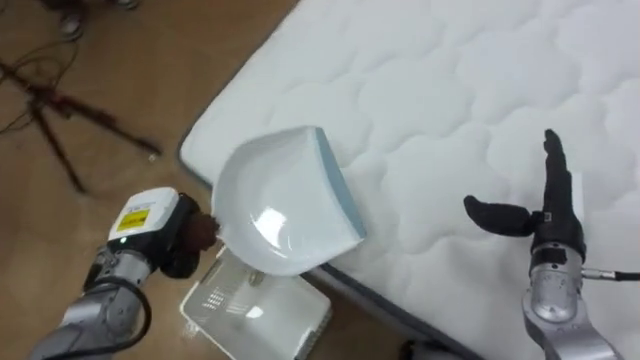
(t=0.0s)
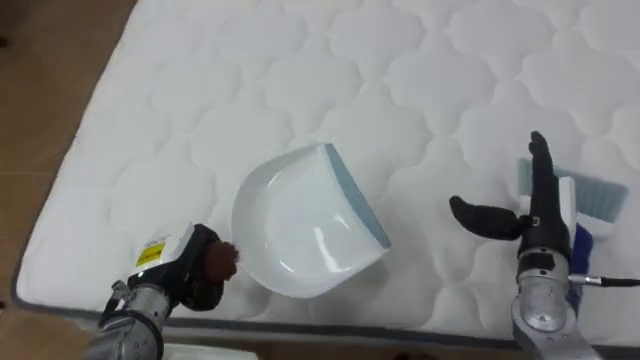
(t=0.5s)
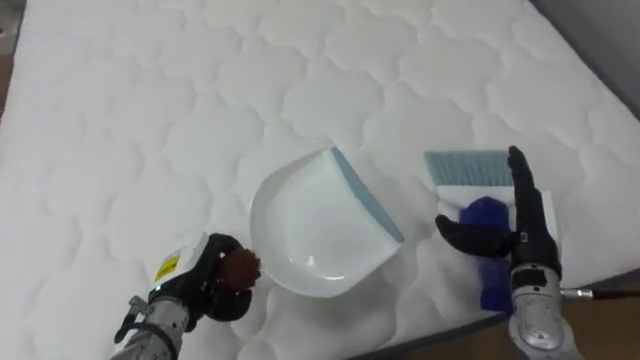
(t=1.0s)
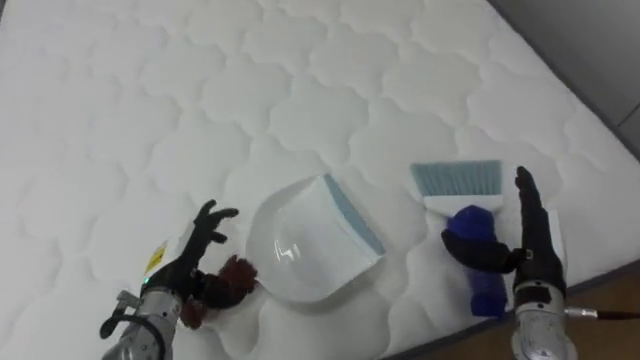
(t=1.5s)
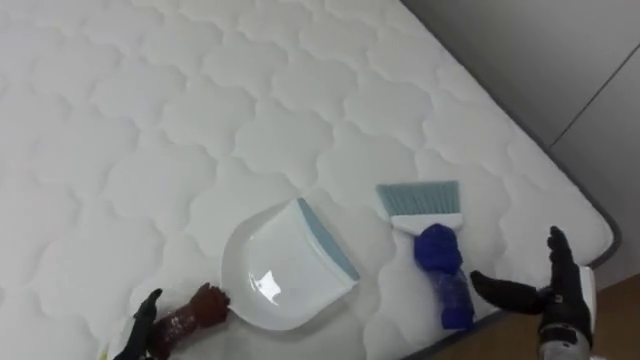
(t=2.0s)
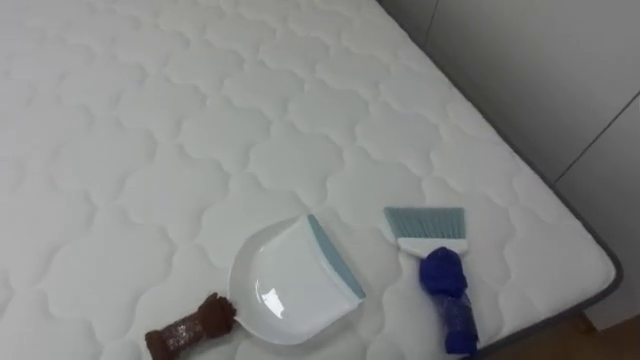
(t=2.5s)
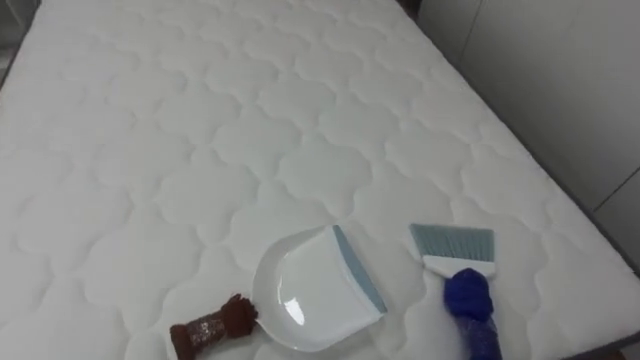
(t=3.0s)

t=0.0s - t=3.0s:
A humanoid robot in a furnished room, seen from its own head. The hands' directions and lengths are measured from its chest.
Task of the whole recording: Pick up the brush on your right and the dustpan on your left. Use the brush to sweep the crumpled paper on the bed into the dustpan, then turn left and empty it into the basket.
t=0.0s - t=1.5s: The robot turns to its right by some 60 degrees. The left hand changes place by about 5 cm, and opens up. The right hand ends up some 5 cm from where it was.

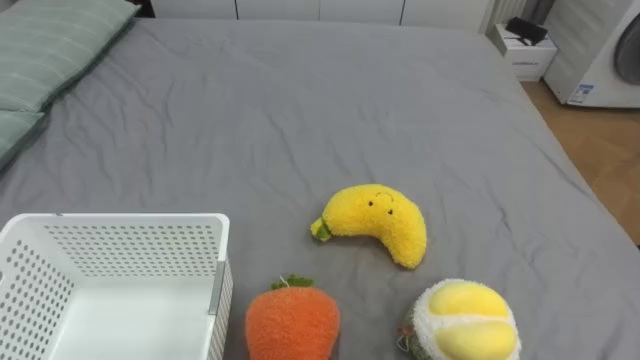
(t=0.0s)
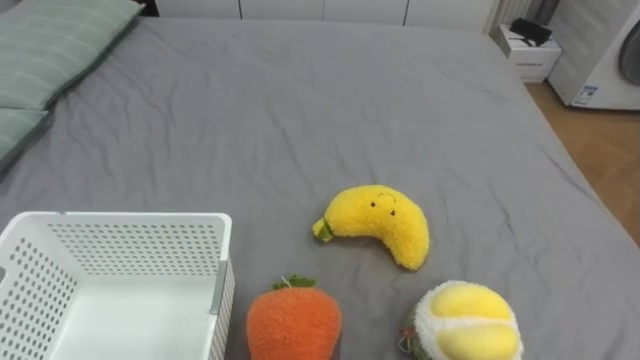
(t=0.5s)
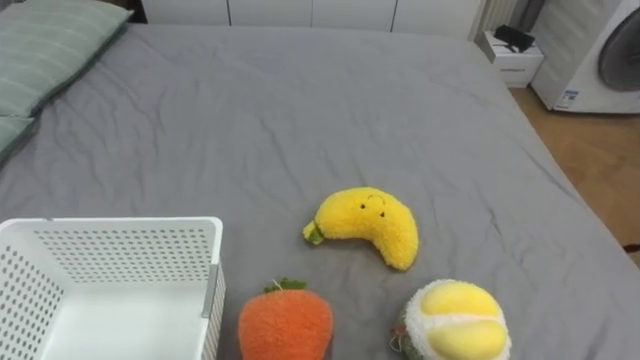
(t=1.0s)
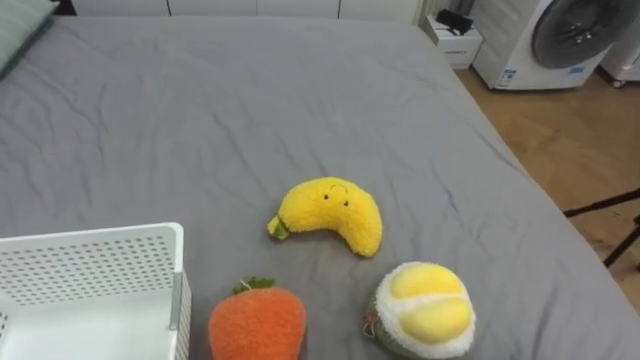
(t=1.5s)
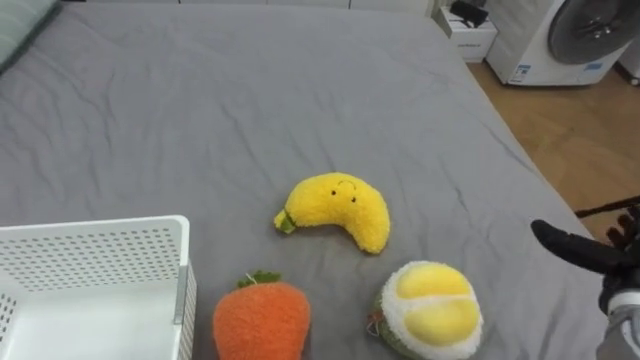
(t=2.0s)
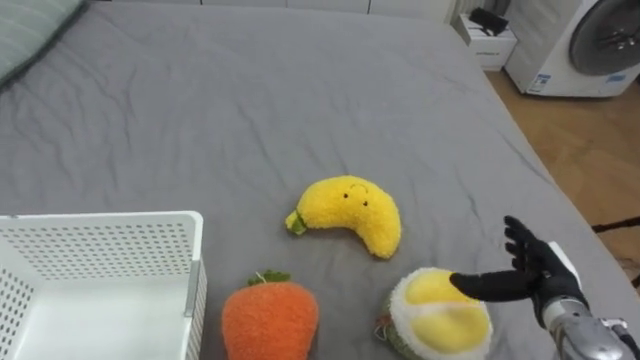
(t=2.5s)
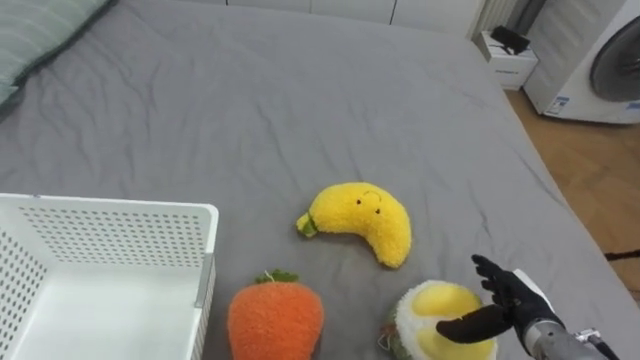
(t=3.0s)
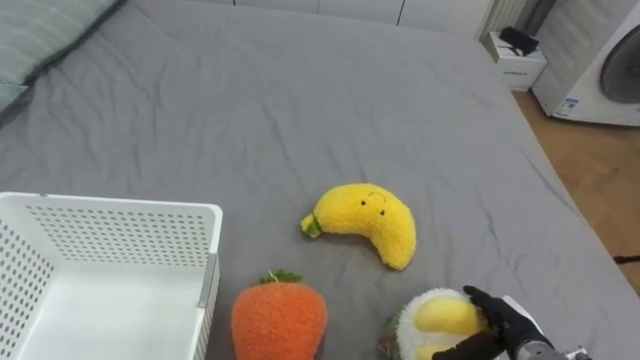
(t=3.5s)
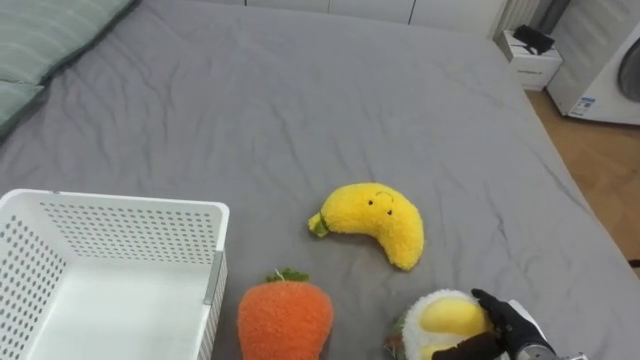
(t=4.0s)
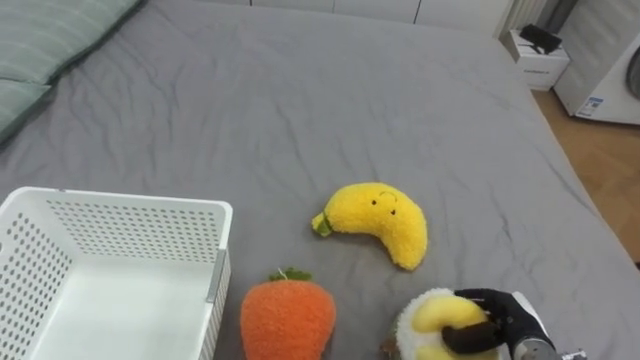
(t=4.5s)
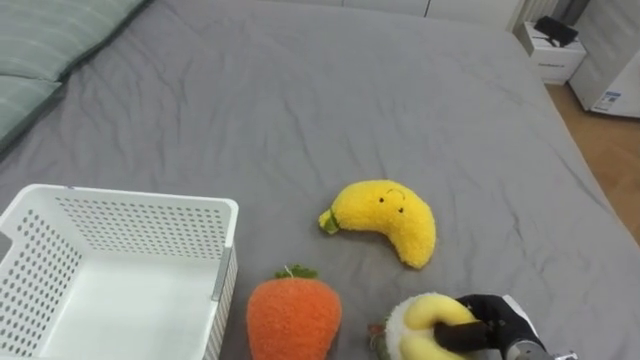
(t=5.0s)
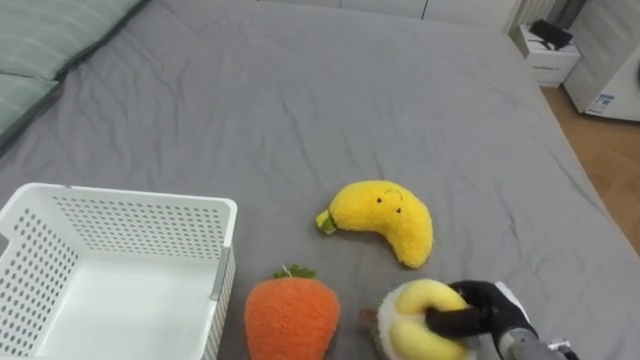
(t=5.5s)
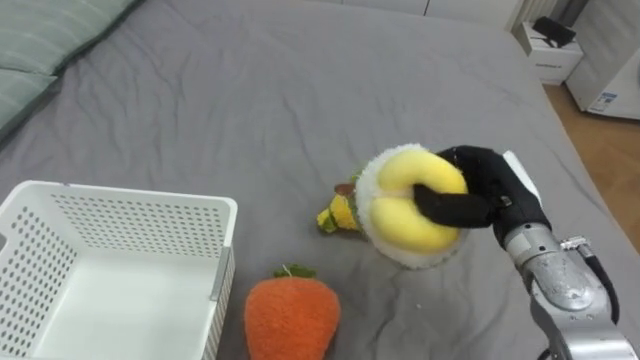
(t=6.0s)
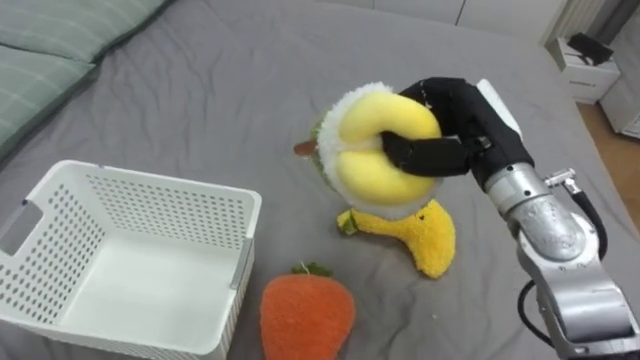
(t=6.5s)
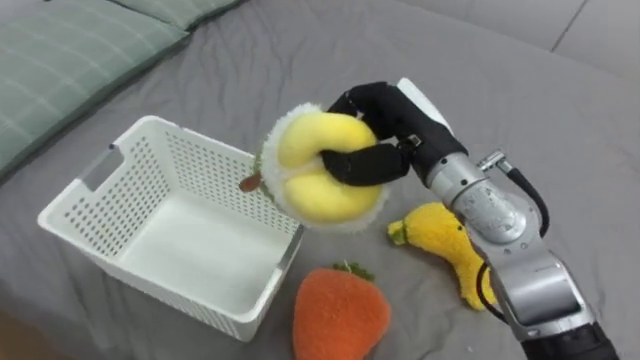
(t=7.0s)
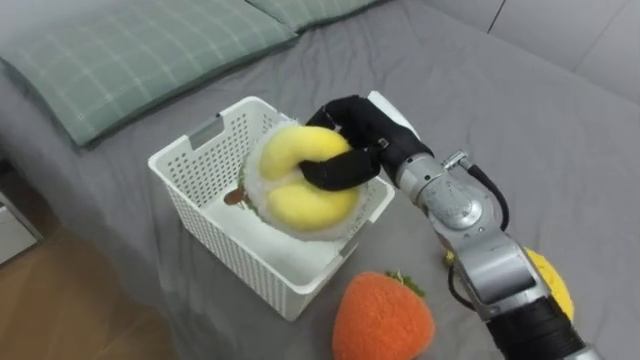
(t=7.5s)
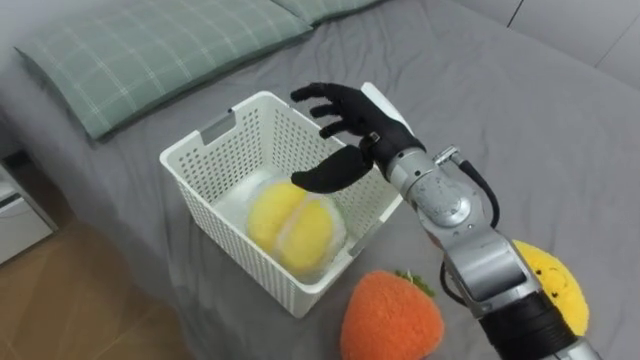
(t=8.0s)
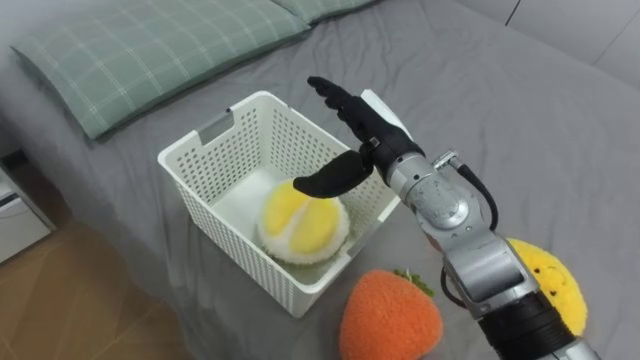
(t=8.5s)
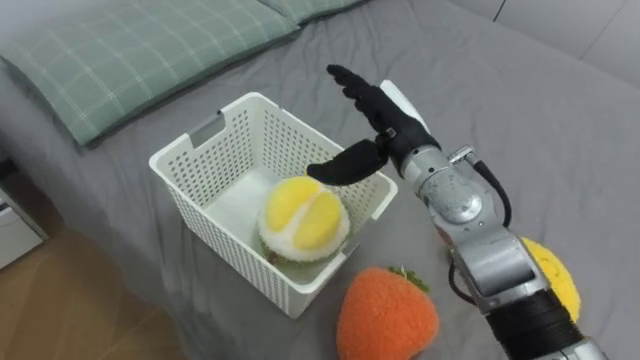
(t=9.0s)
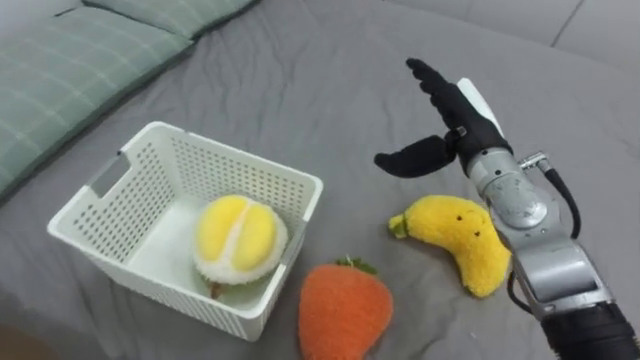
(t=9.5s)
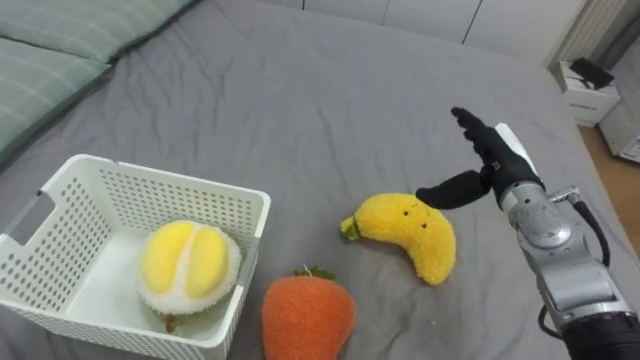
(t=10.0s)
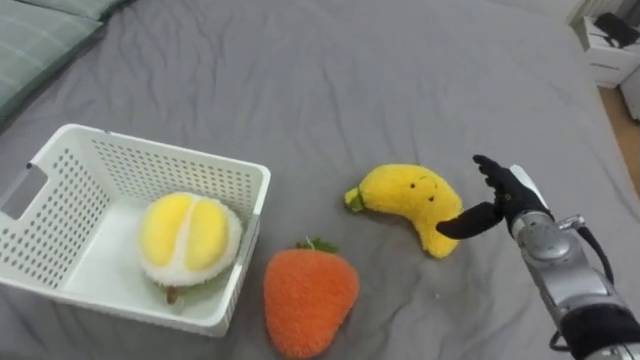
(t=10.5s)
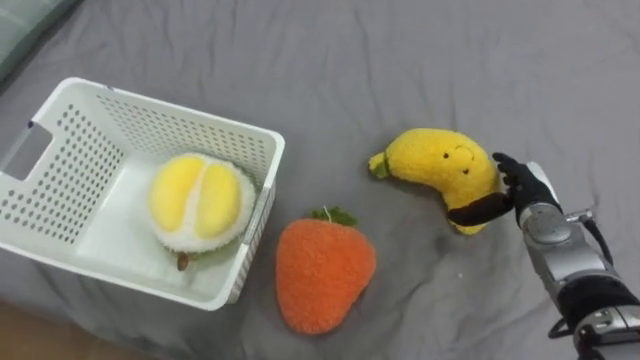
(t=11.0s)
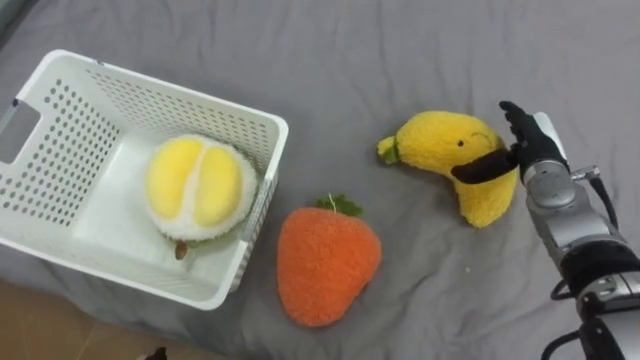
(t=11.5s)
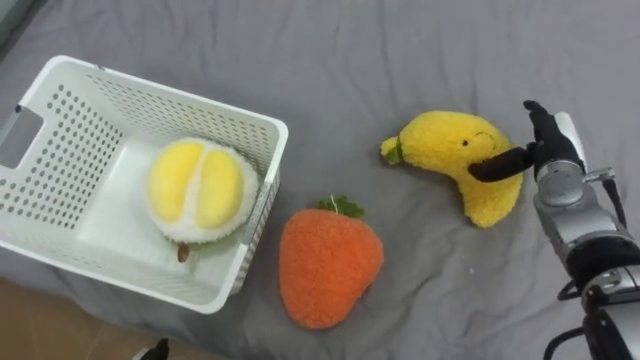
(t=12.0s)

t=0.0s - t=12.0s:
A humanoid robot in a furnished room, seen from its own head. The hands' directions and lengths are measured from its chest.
Task of the whole recording: Put the toys on the bed into the basket on the left.
t=2.0s - t=4.0s: The right hand moves downward and to the left, roughly 15 cm.
t=4.0s - t=6.0s: The right hand heads upward and forward, covering about 20 cm, and closes up.
t=6.0s - t=8.0s: The right hand goes approximately 20 cm to the left and upward, and opens.
t=8.0s - t=10.0s: The right hand shifts approximately 15 cm to the right.
t=10.0s - t=12.0s: The right hand moves to the right, about 5 cm.

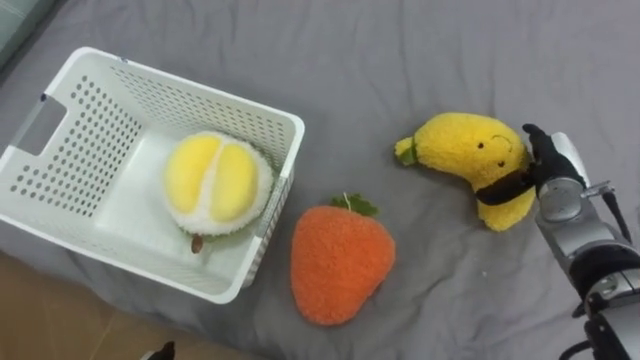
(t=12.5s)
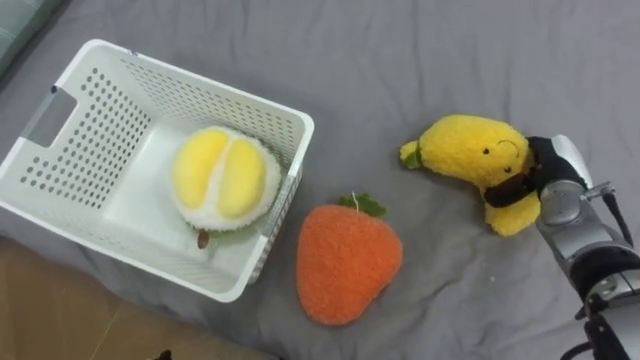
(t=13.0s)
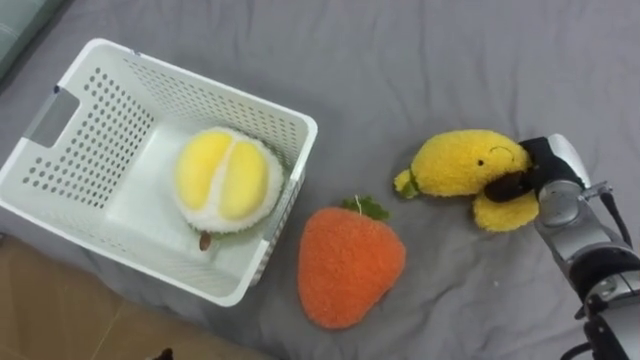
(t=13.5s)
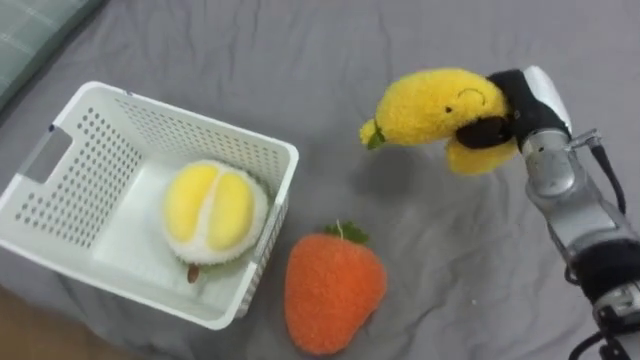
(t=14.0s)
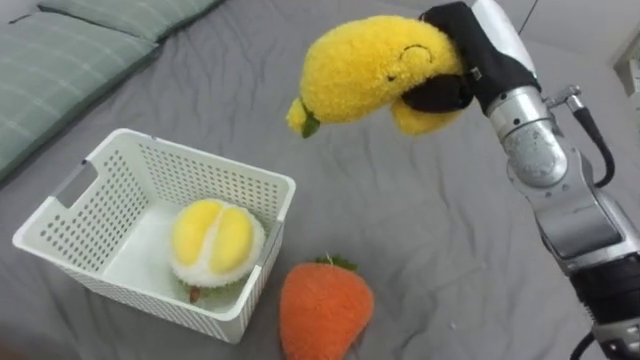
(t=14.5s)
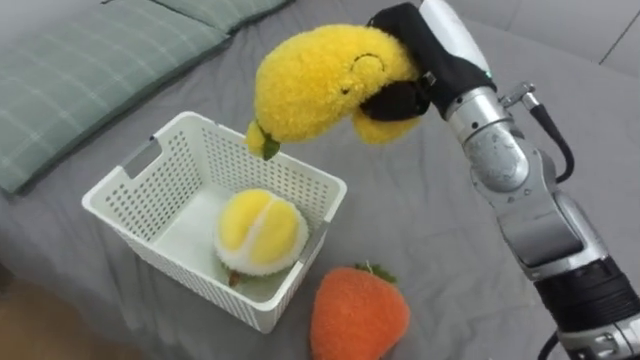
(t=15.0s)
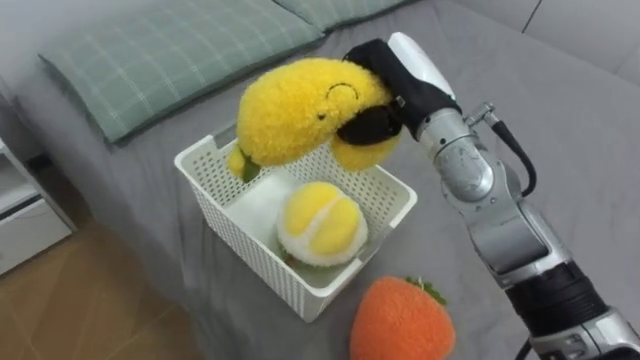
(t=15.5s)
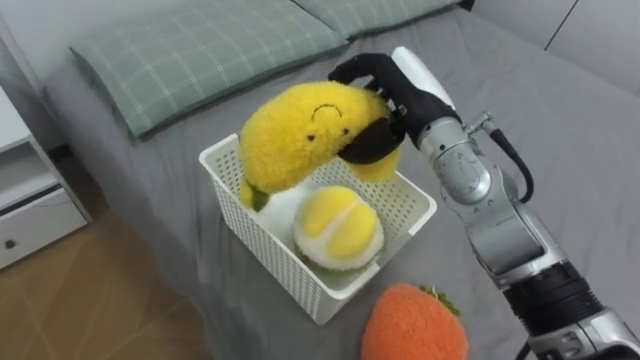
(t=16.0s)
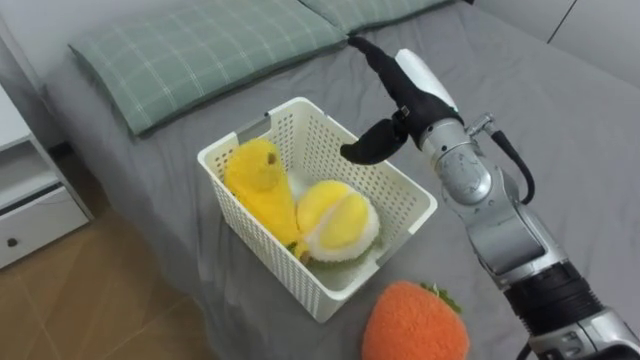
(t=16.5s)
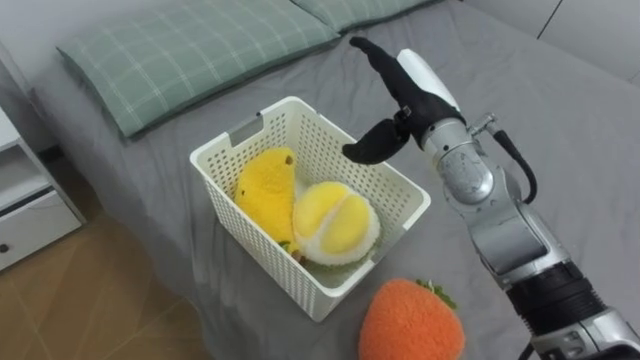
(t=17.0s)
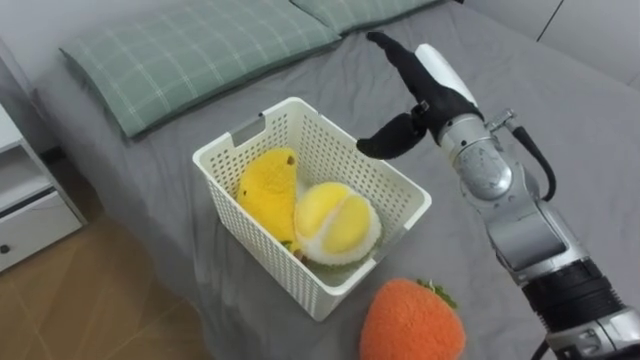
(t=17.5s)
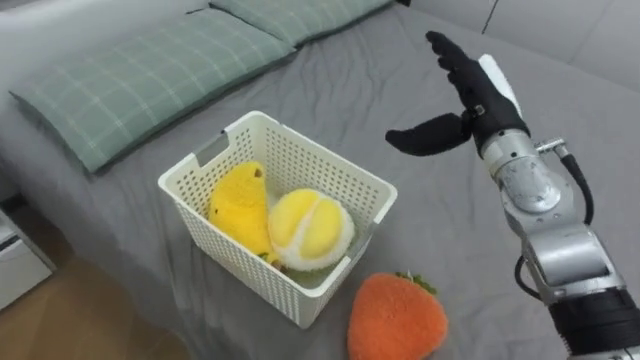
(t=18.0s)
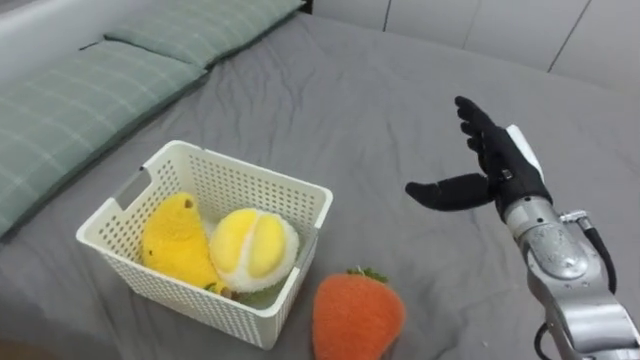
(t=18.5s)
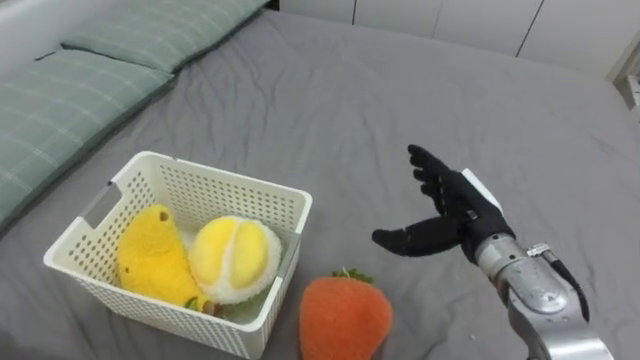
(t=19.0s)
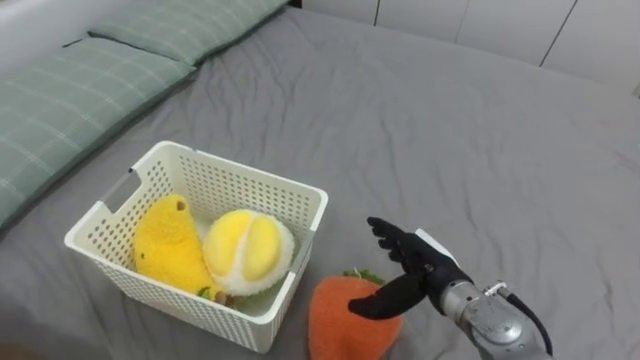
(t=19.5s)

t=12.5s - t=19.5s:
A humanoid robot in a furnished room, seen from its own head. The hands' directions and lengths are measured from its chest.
Task of the whole recording: Put the toys on the bed into the basket on the left.
t=12.5s - t=14.5s: The right hand goes some 20 cm upward and to the left, and closes up.
t=14.5s - t=16.0s: The right hand shifts approximately 5 cm to the left.
t=16.0s - t=17.5s: The right hand opens.
t=17.5s - t=19.5s: The right hand is displaced downward and backward by about 25 cm.
